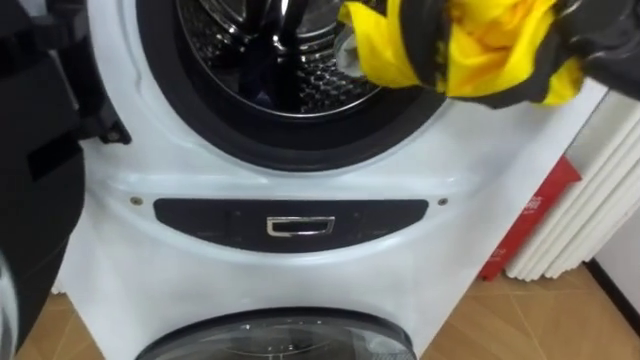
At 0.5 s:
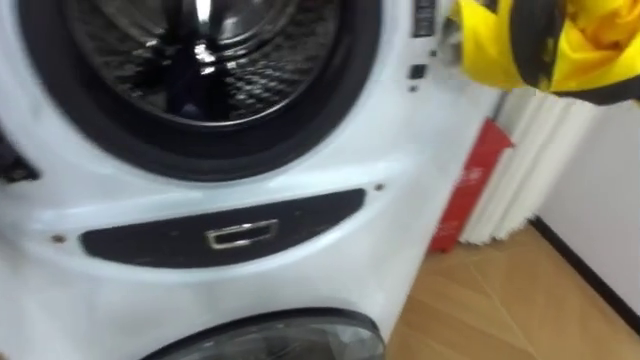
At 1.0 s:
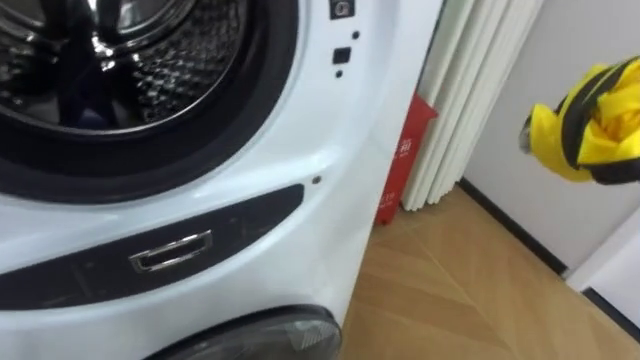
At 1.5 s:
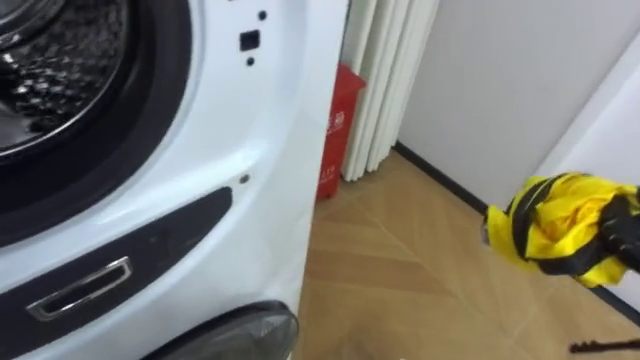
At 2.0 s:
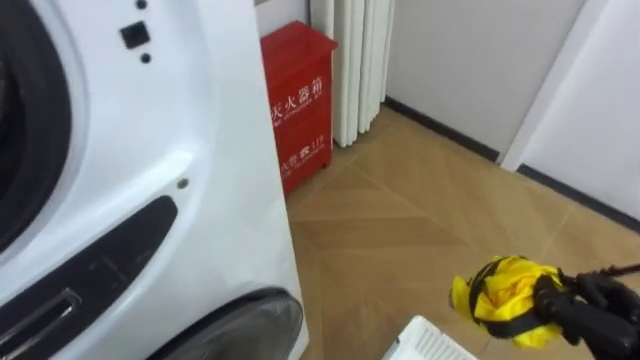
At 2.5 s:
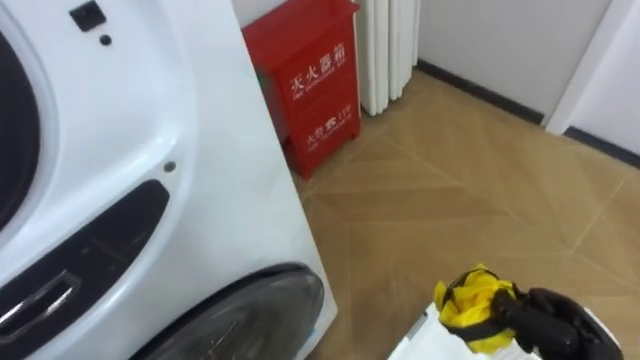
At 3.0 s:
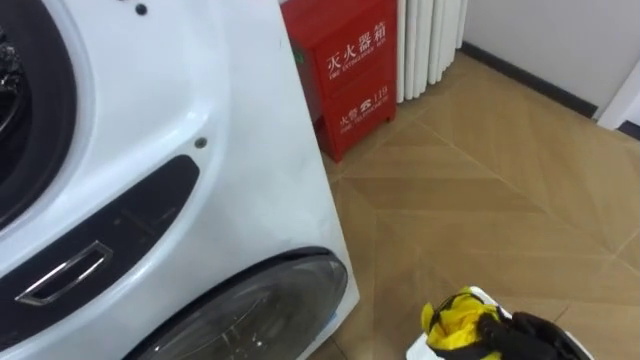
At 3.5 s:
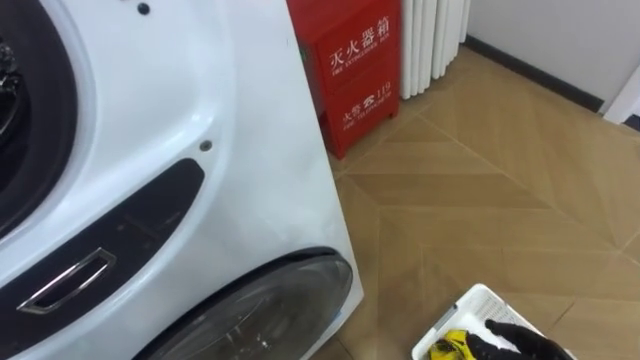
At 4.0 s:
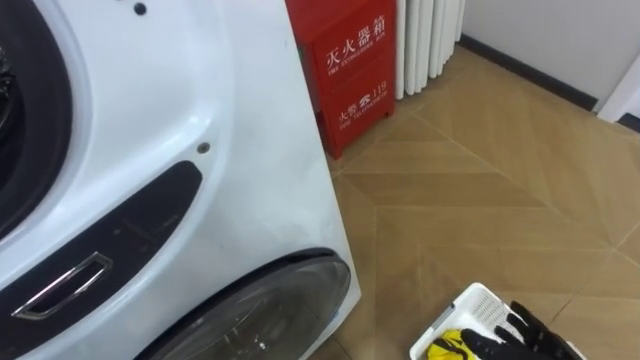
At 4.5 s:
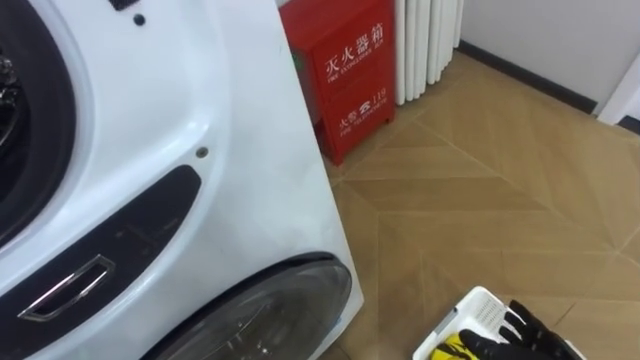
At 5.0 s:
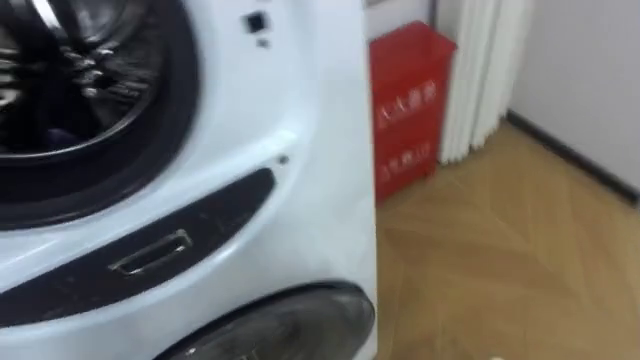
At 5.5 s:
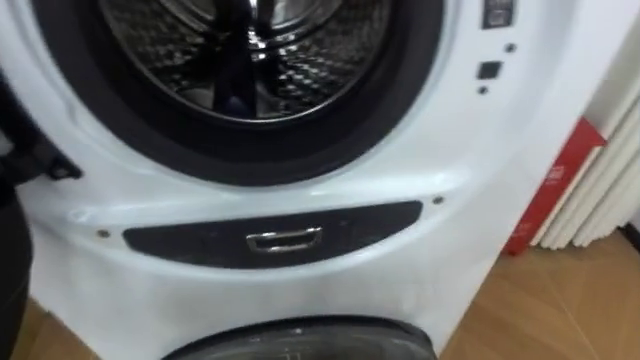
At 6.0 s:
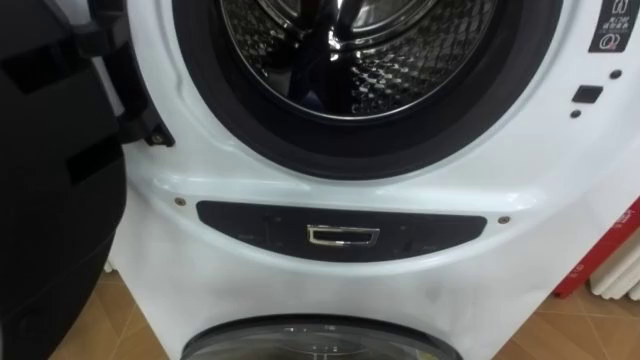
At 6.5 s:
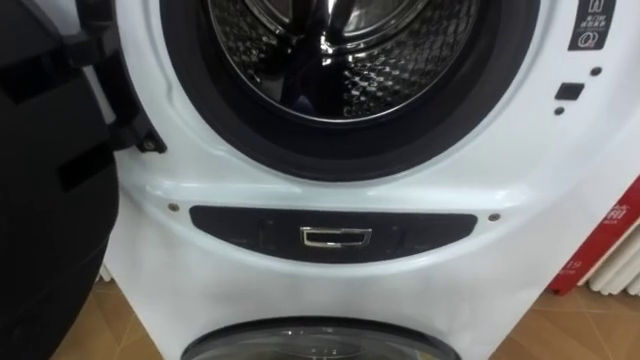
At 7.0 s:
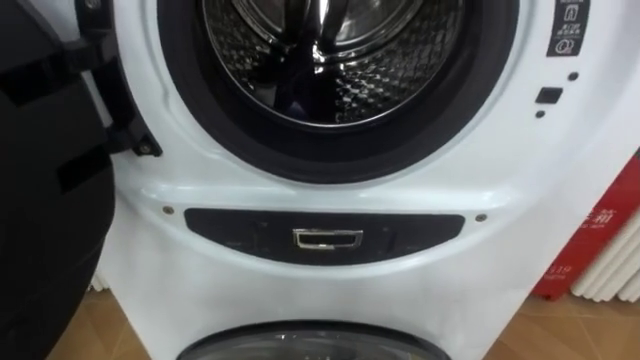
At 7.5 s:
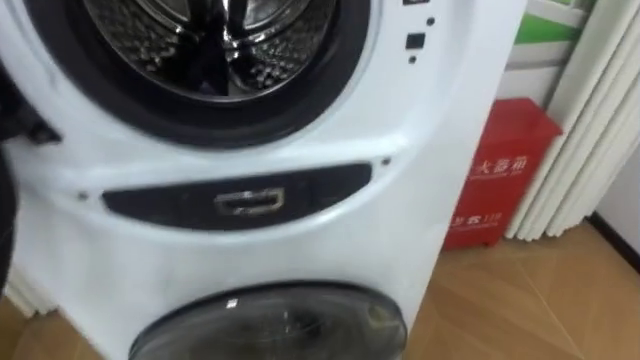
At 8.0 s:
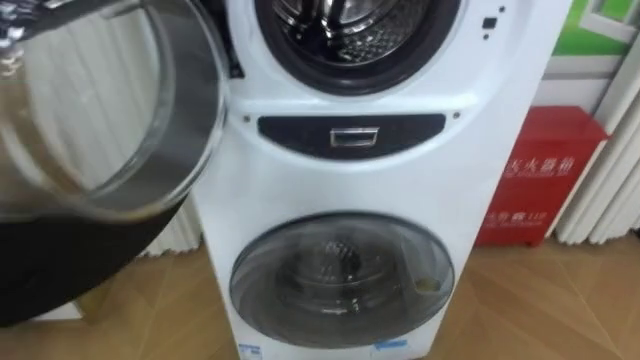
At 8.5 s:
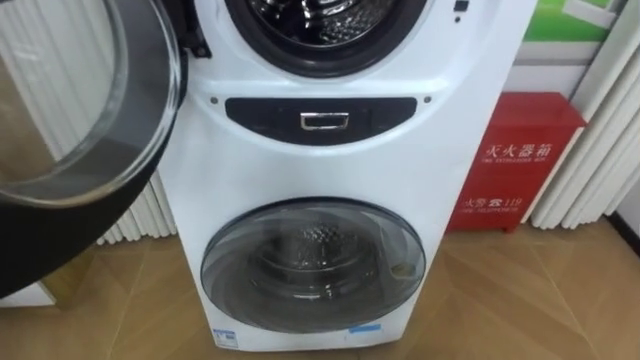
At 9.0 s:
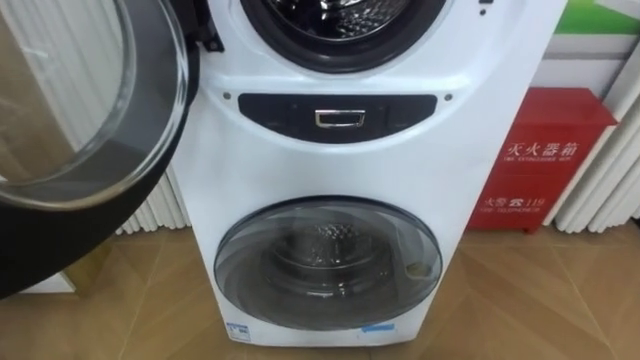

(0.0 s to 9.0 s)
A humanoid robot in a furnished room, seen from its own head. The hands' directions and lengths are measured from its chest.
Task of the whole recording: Open the washing machine door, take out the yellow clothes, place them in the box on the right, and close the washing machine door.
0.0 s - 2.0 s: The robot's body swings roughly 30 degrees to its right.
